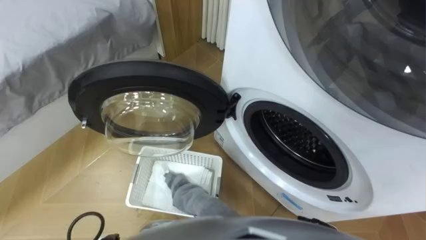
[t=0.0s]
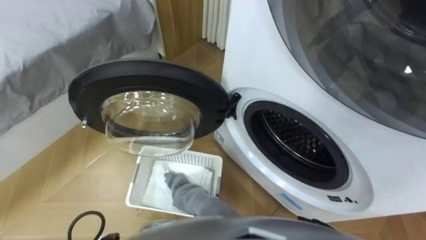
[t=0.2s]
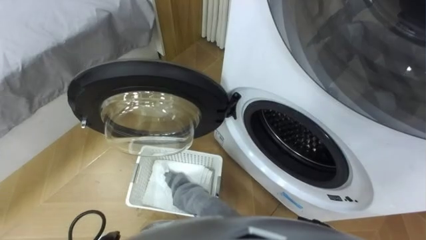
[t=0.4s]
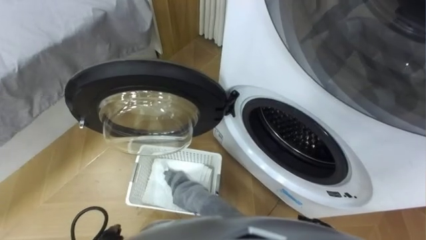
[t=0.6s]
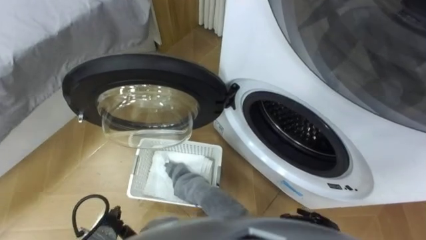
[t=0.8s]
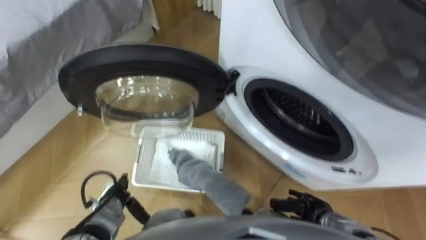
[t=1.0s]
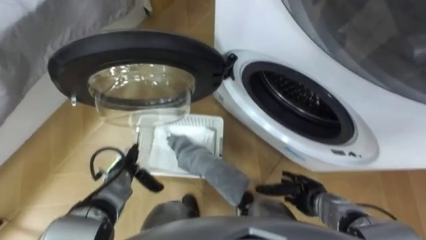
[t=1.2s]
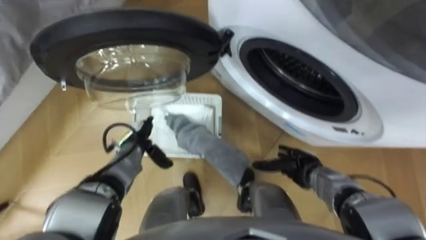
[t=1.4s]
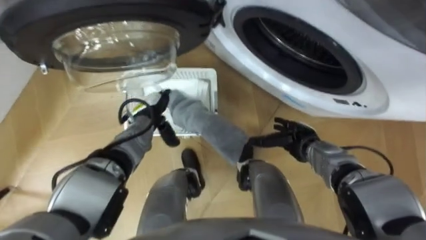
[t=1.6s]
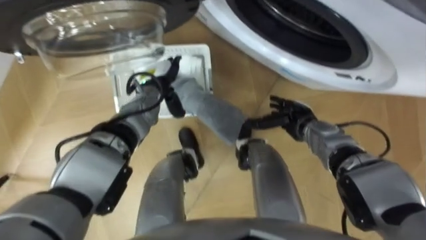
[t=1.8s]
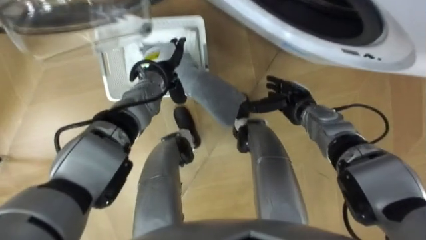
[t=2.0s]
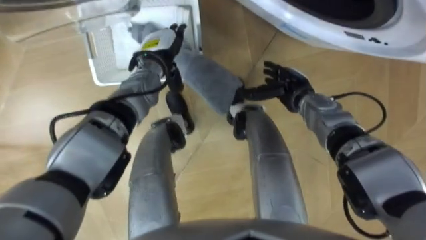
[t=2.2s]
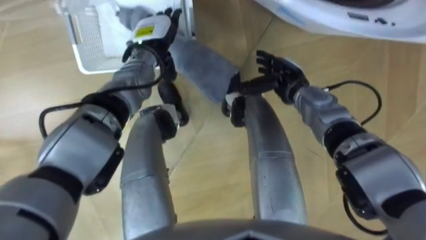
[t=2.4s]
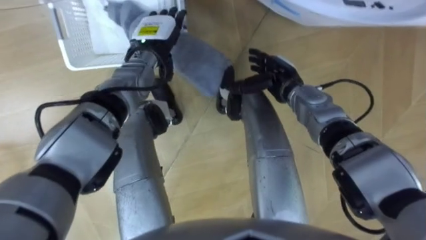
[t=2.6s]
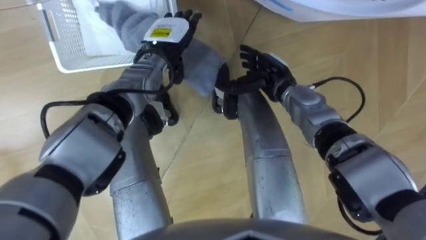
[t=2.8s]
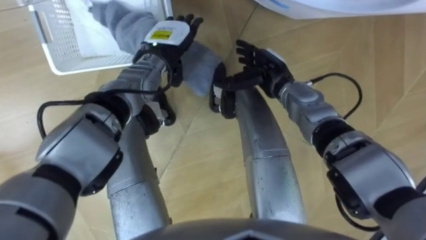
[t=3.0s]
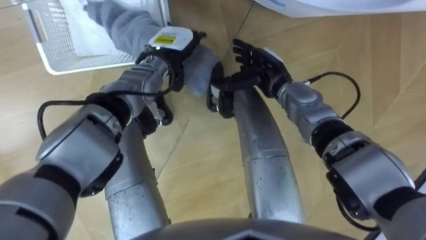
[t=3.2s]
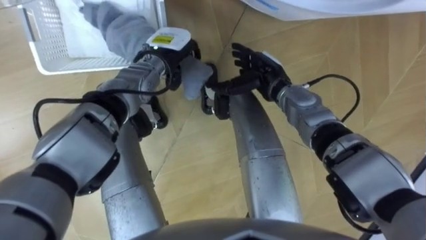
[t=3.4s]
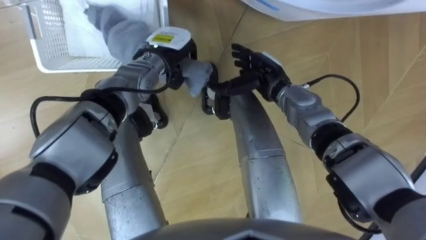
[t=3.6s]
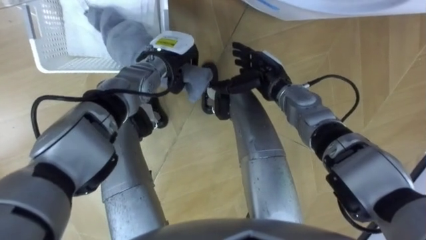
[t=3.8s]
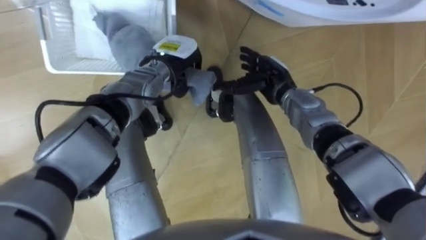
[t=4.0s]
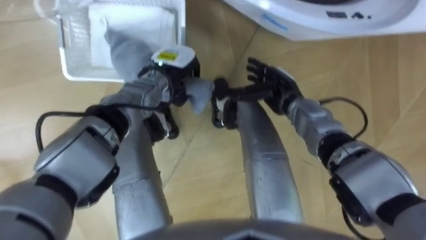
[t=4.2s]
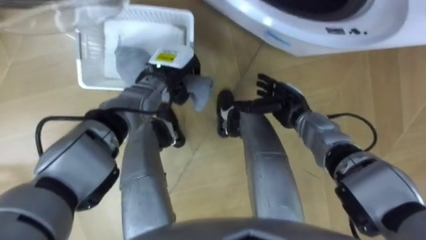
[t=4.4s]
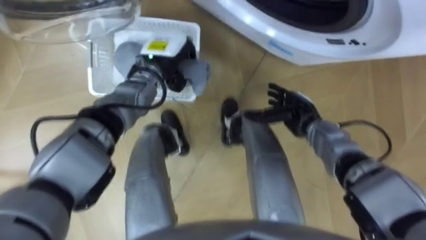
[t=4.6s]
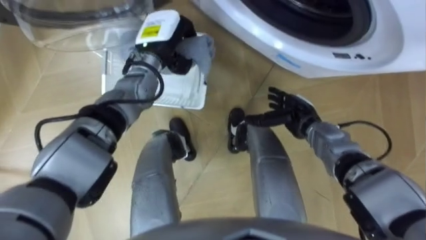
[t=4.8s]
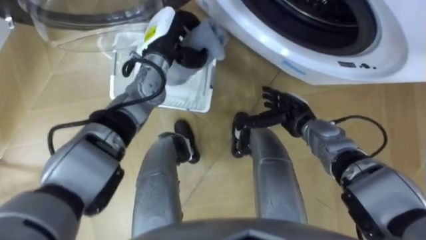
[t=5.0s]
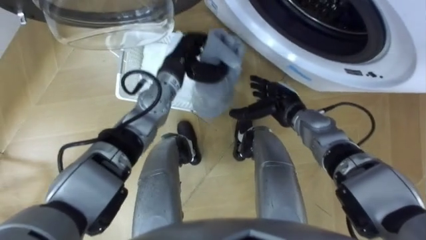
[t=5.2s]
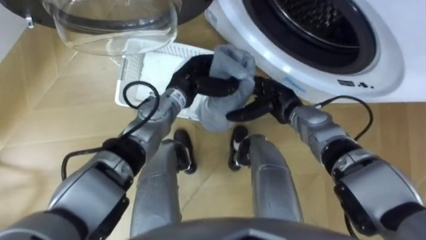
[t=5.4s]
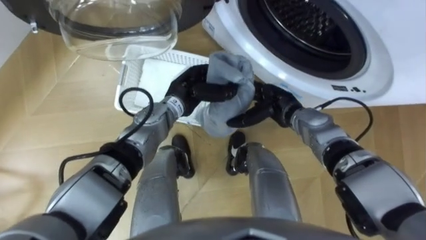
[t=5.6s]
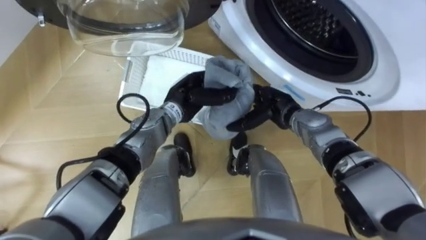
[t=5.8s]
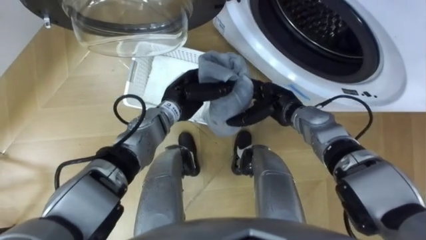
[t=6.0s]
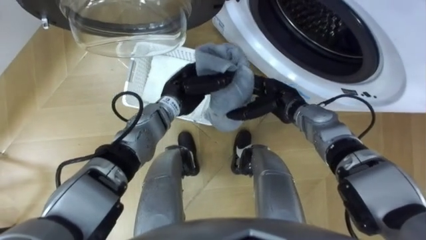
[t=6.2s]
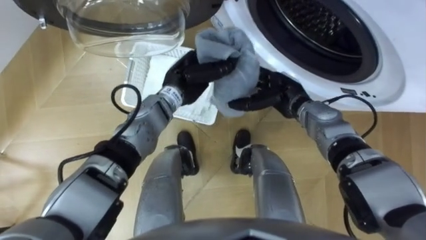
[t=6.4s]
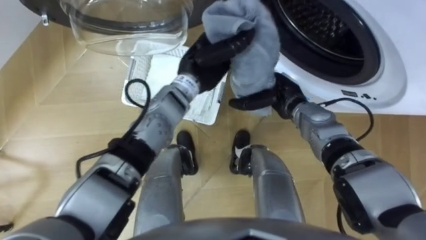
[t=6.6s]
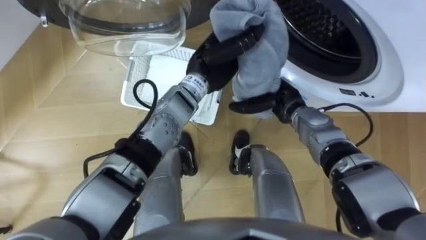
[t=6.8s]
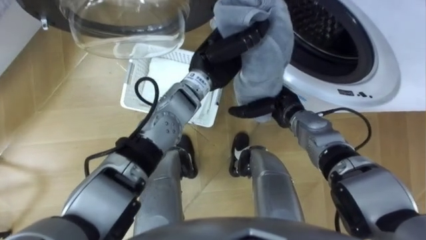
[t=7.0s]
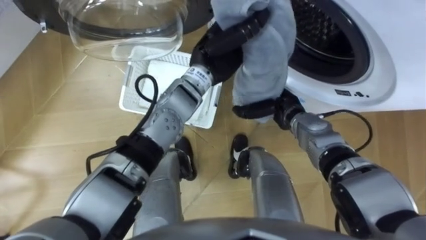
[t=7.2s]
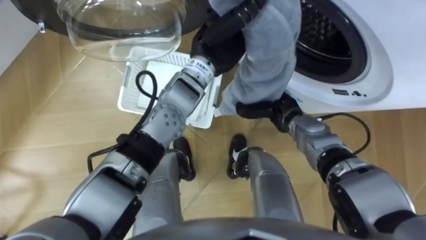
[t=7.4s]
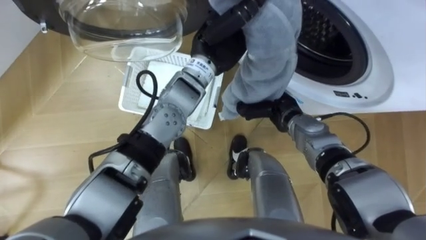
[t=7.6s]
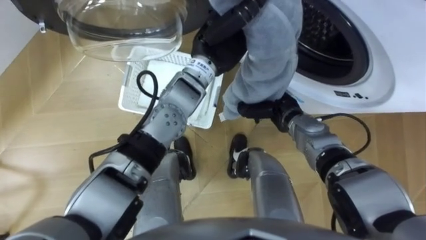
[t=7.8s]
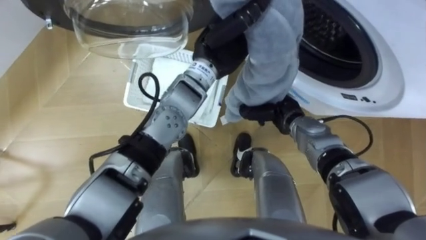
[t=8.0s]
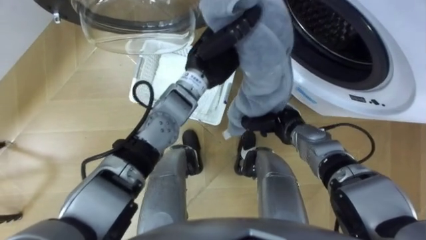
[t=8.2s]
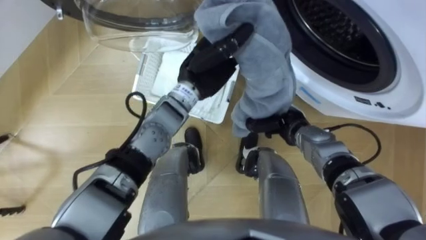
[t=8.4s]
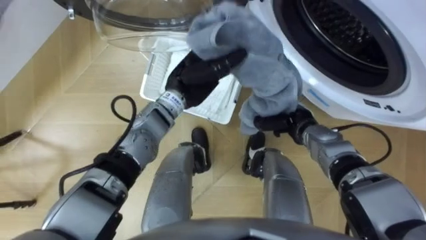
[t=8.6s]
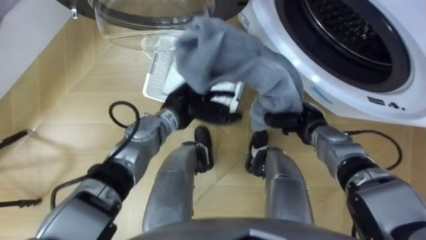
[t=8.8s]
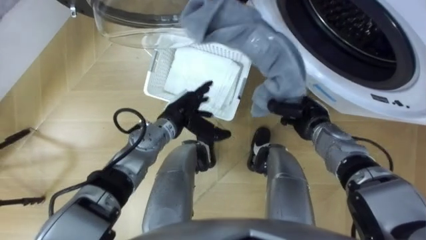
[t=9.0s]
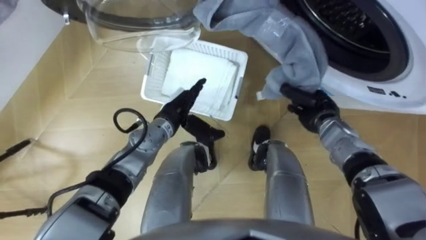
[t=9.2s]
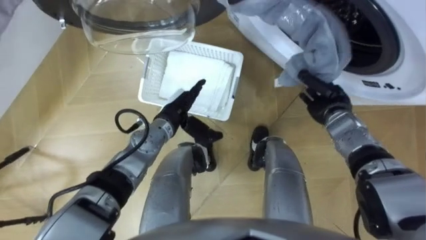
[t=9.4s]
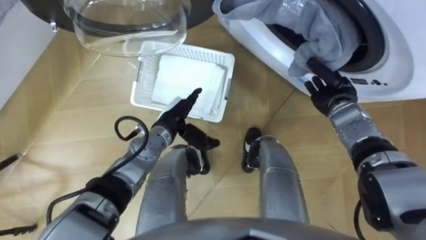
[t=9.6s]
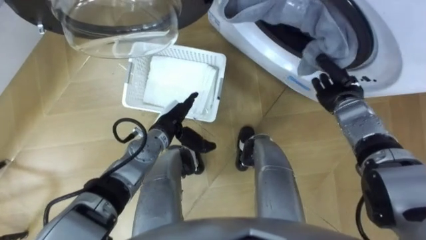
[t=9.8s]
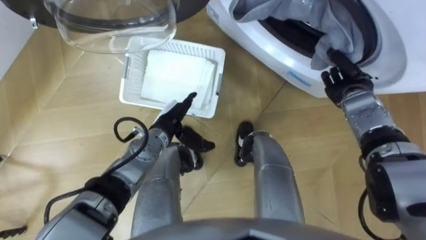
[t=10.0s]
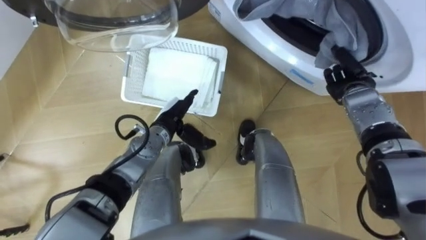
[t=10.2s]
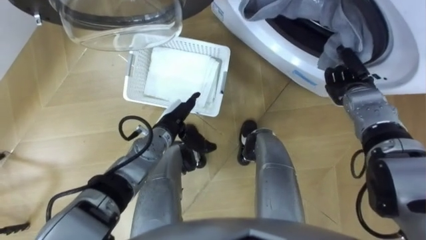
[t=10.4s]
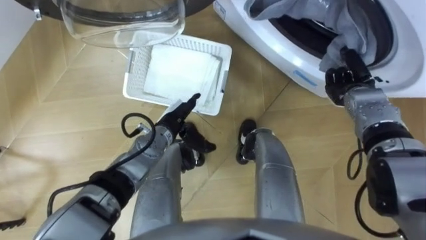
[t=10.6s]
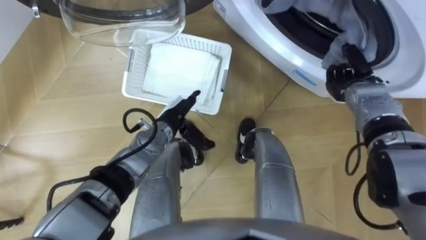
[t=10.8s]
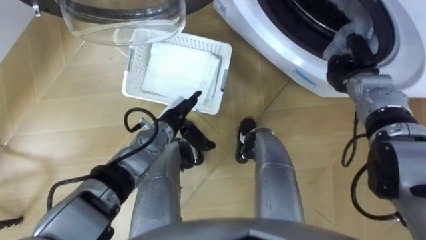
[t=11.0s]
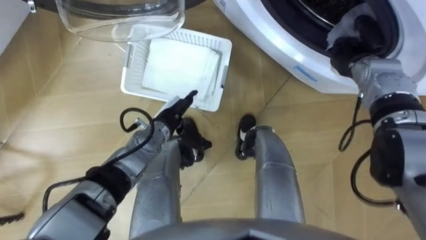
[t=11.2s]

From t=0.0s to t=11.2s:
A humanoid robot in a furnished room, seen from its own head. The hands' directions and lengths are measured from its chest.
Task of the whole recording: Take the towel from the basket and put it into the washing machine.
From t=1.6s to t=3.2s: The right hand shifts some 20 cm upward, forward and to the left. The left hand moves upward, forward and to the right, roughly 15 cm.
From t=3.2s to t=4.8s: The left hand closes up; the right hand is displaced to the right, downward and backward by roughly 15 cm.
From t=4.8s to t=6.4s: The right hand shifts by approximately 5 cm. Meanwhile the left hand shifts about 10 cm backward and to the right.
From t=6.4s to t=8.0s: The left hand goes some 10 cm upward and to the right, while the right hand closes up.
From t=8.0s to t=9.6s: The left hand goes roughly 20 cm downward and to the left, and opens its fingers; the right hand is displaced to the right by approximately 10 cm.
From t=9.6s to t=11.2s: The right hand moves upward, approximately 5 cm.

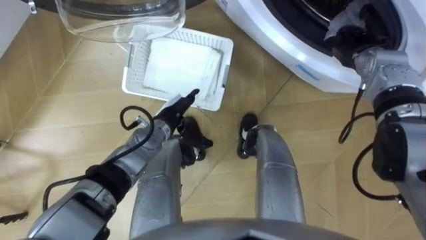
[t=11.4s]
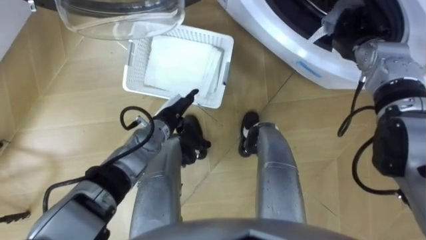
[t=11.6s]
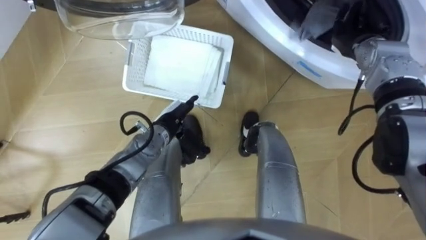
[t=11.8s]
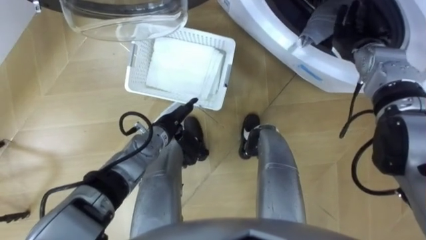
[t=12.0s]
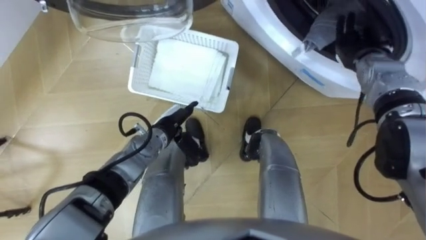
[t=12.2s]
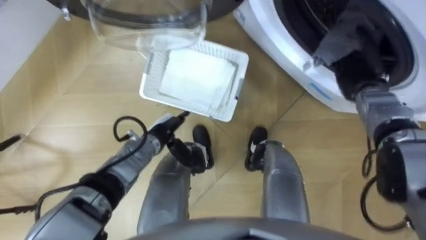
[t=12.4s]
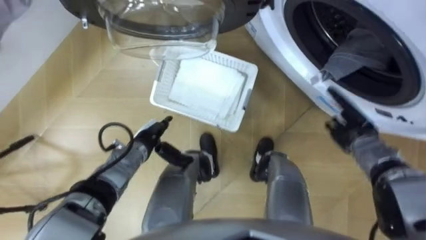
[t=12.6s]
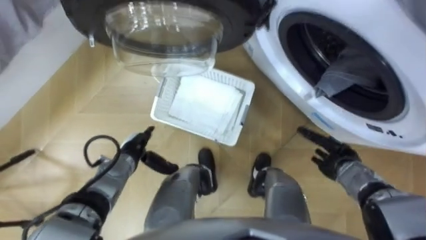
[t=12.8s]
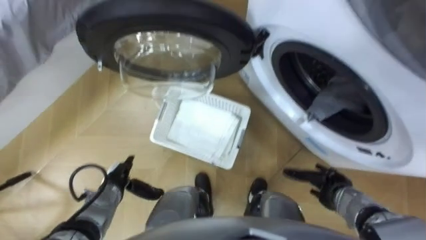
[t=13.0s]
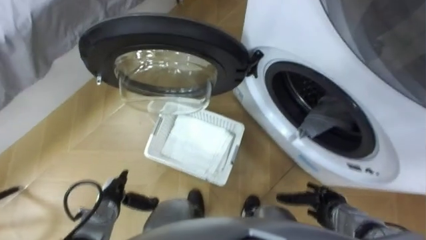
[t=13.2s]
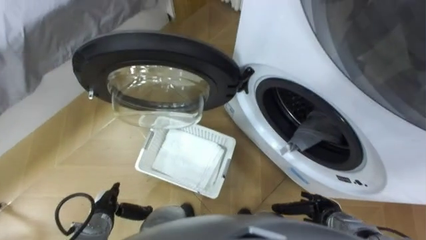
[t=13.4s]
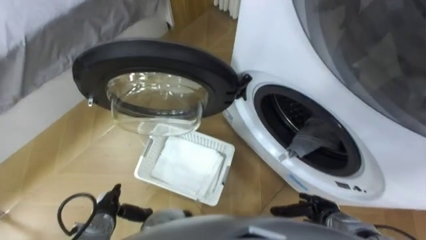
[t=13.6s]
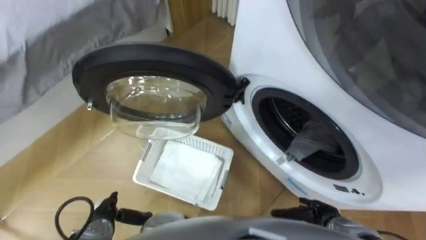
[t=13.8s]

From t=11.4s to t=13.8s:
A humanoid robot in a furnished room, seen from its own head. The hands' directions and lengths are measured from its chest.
Task of the whole recording: Take the towel from the basket and put it into the washing machine.
From t=11.4s to t=12.6s: The left hand moves to the left, approximately 5 cm. Meanwhile the right hand shifts roughly 15 cm backward and downward, and opens up.
From t=12.6s to t=13.8s: The right hand moves backward and downward, roughly 20 cm. Meanwhile the left hand goes approximately 20 cm backward and to the left.

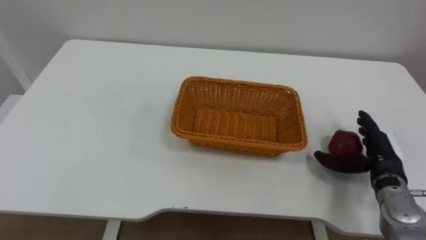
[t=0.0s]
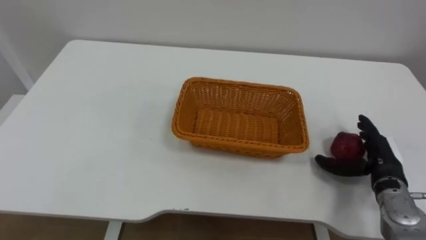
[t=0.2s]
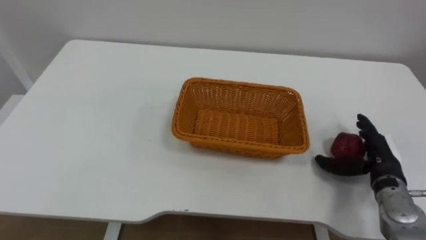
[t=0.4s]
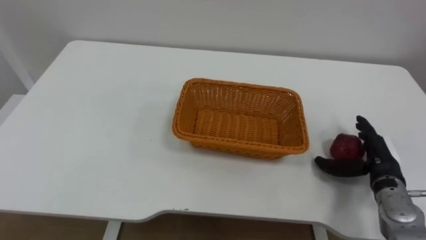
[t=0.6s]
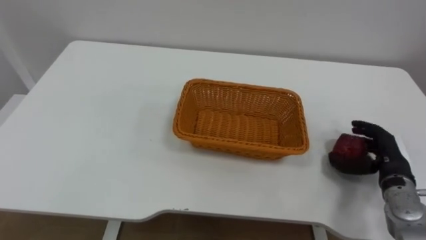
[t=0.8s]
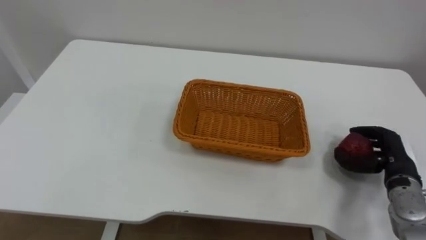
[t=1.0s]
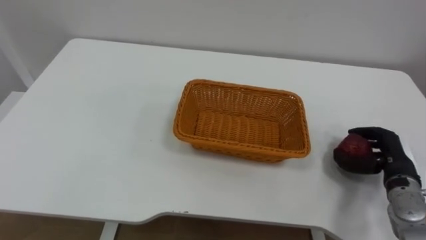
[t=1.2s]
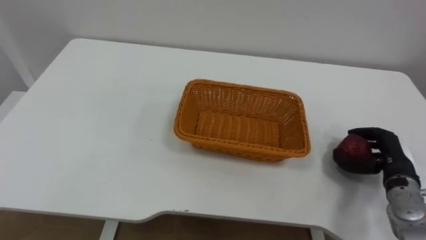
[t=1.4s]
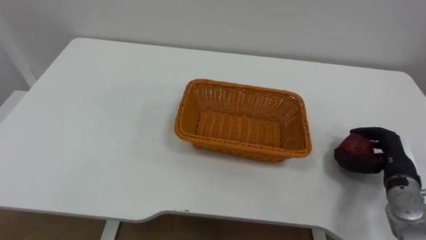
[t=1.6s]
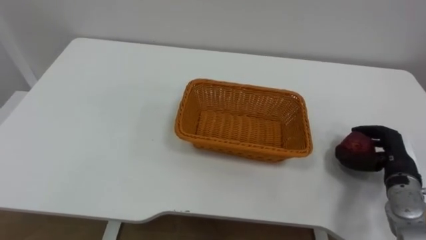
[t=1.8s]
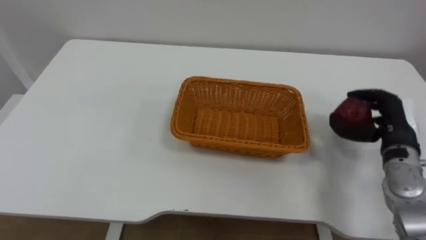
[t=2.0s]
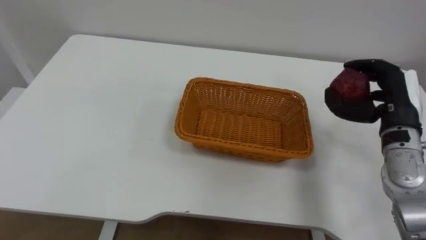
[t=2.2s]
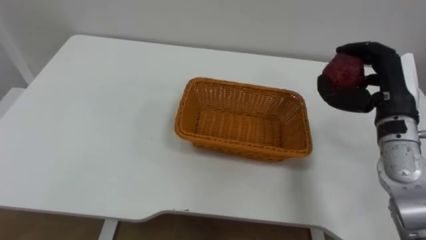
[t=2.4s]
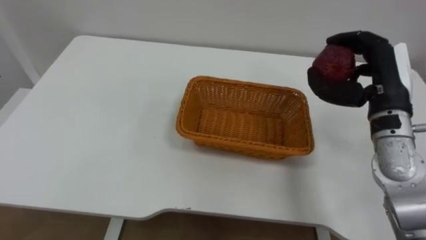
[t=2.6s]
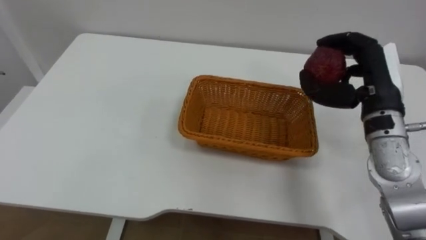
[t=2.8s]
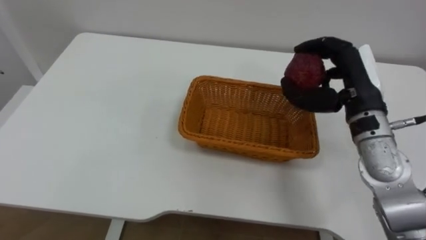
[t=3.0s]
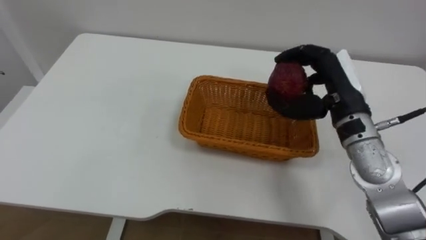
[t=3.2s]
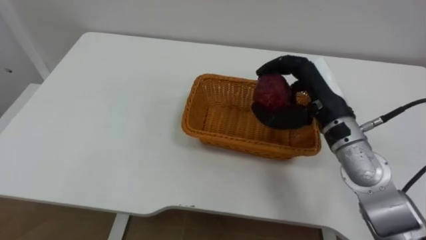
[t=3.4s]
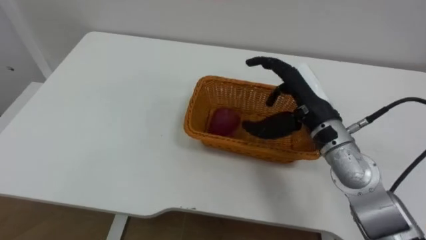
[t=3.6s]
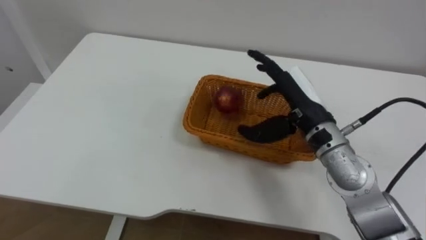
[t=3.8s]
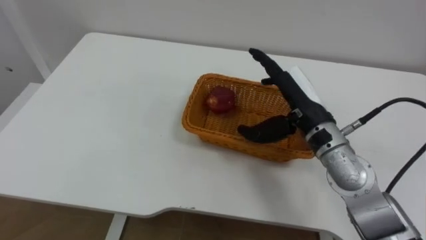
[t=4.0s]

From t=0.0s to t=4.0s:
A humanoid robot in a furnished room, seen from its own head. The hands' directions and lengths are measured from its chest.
Task of the whole recording: Pick the apple and place it in the box.
From t=0.0s to t=1.4s: The right hand closes.
From t=1.4s to t=2.6s: The right hand moves upward and to the left, approximately 20 cm.
From t=2.6s to t=4.0s: The right hand moves to the left, roughly 10 cm, and opens its fingers.
